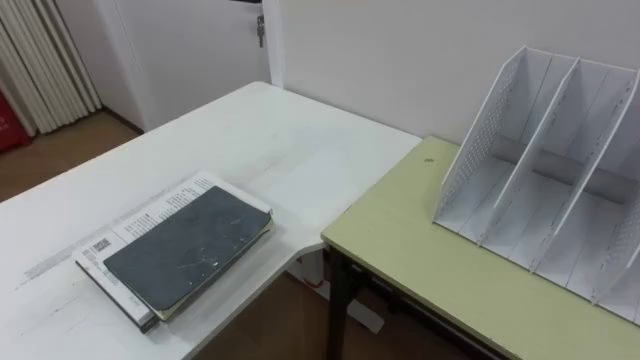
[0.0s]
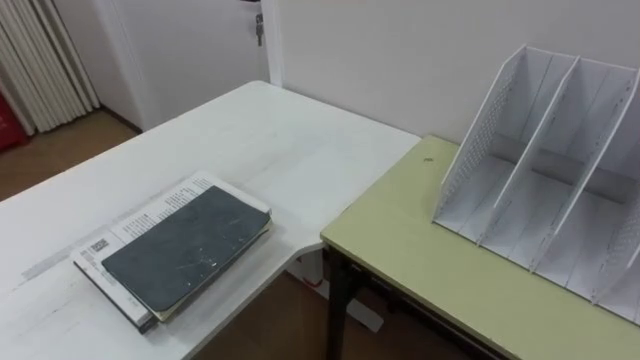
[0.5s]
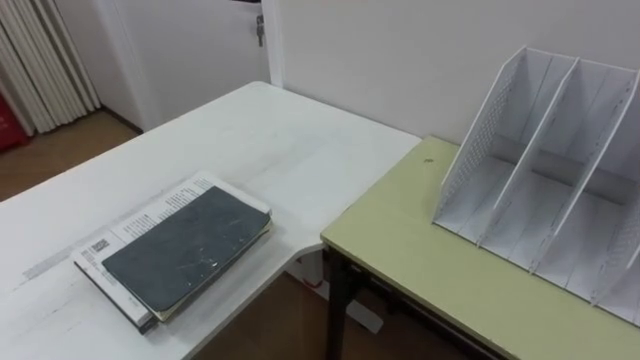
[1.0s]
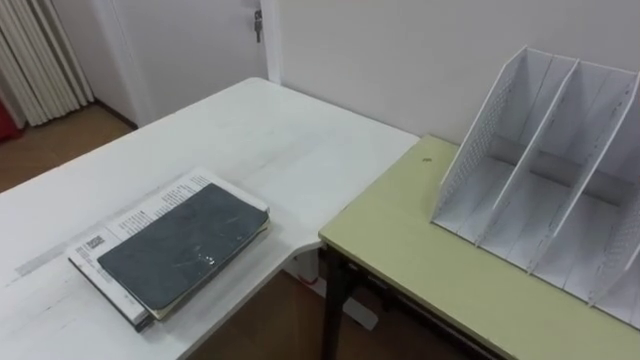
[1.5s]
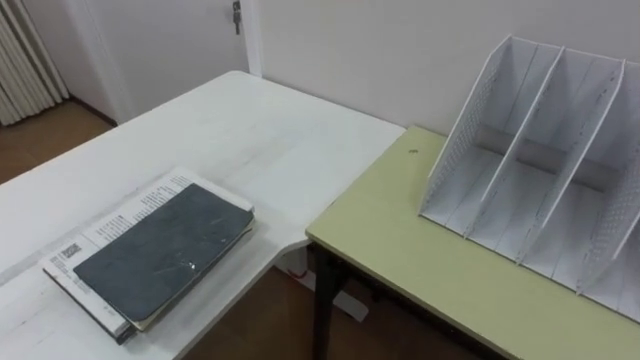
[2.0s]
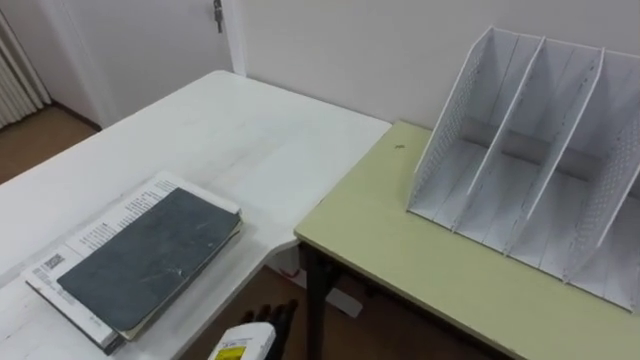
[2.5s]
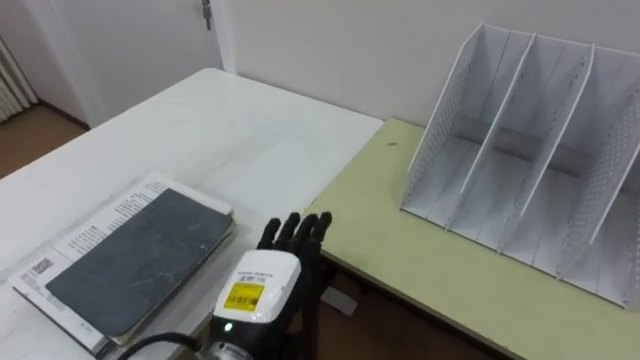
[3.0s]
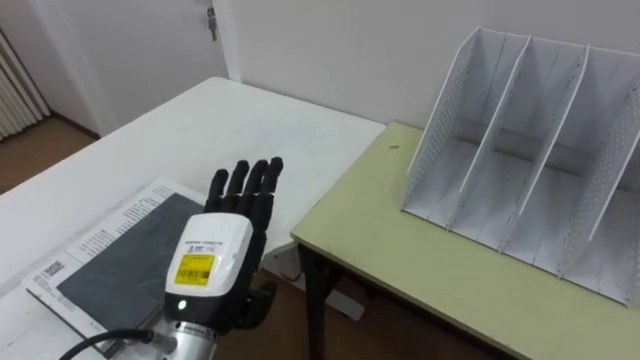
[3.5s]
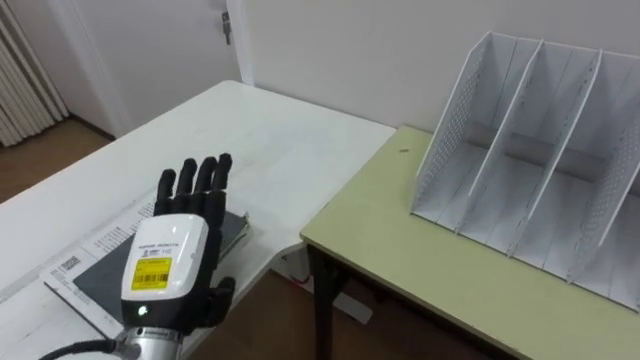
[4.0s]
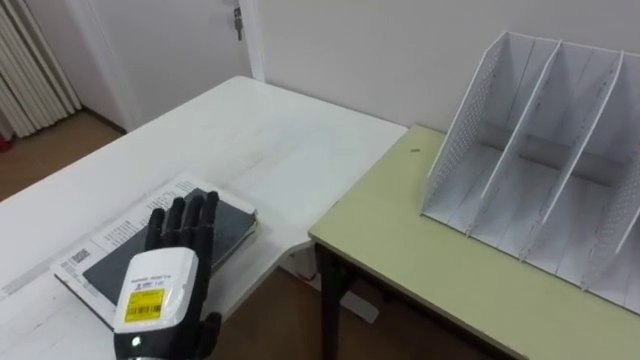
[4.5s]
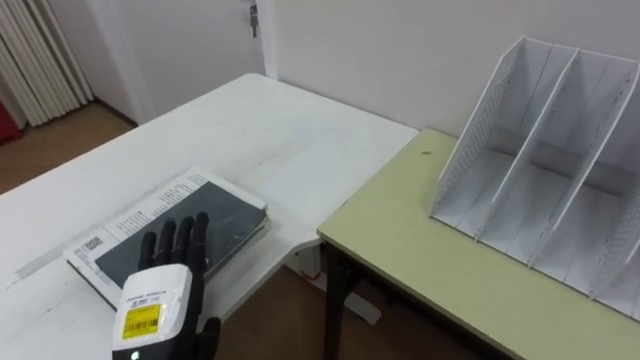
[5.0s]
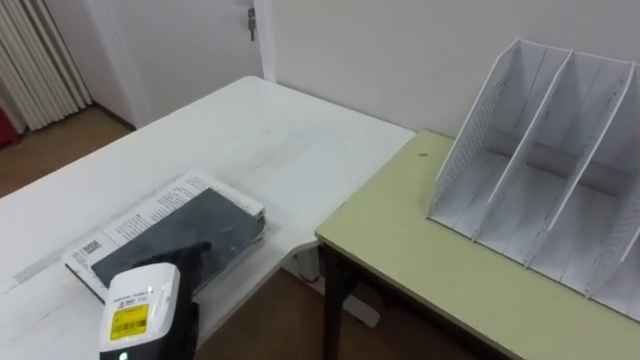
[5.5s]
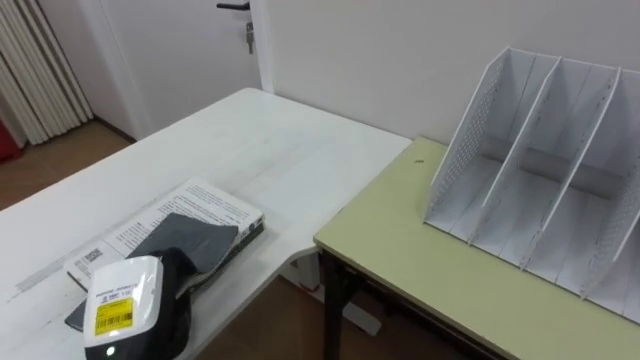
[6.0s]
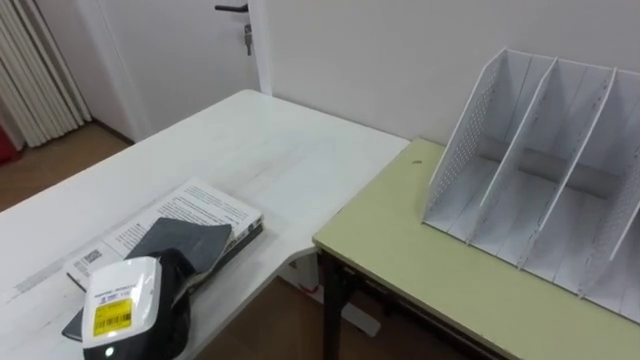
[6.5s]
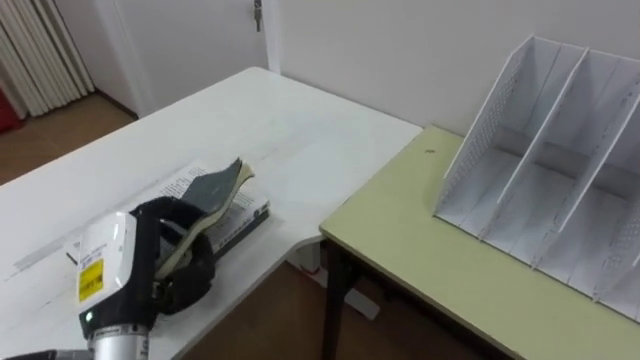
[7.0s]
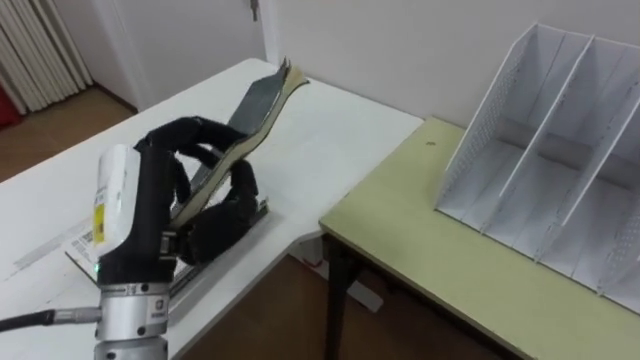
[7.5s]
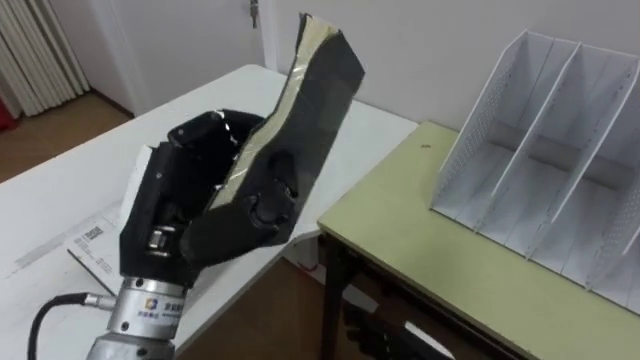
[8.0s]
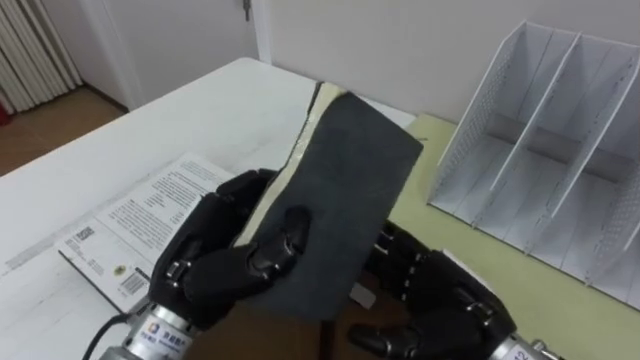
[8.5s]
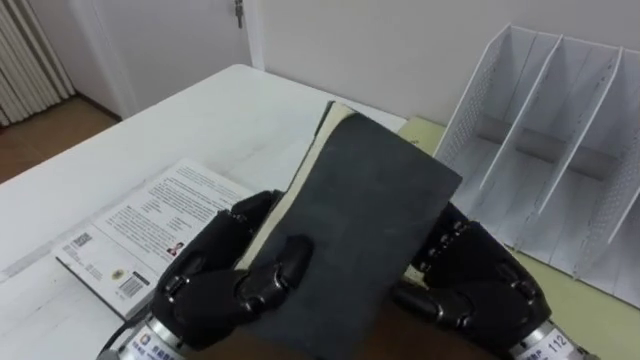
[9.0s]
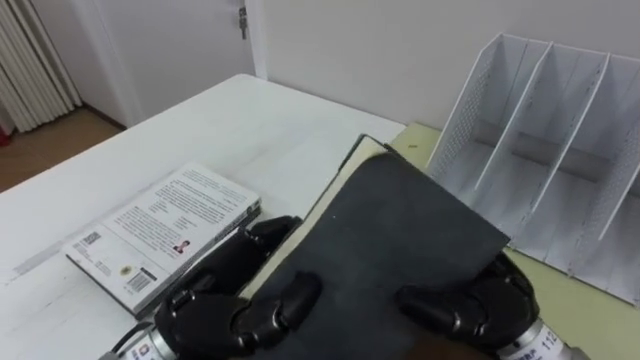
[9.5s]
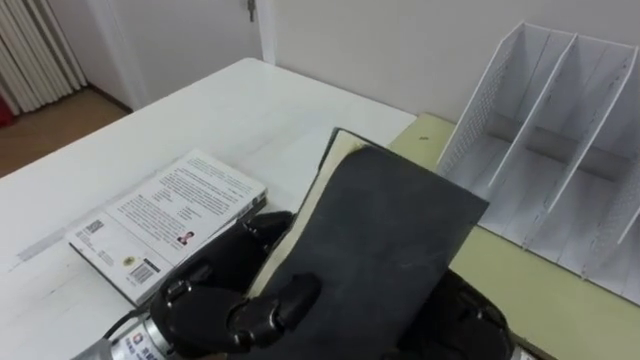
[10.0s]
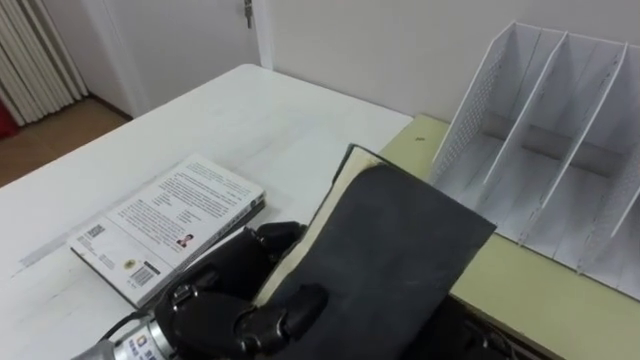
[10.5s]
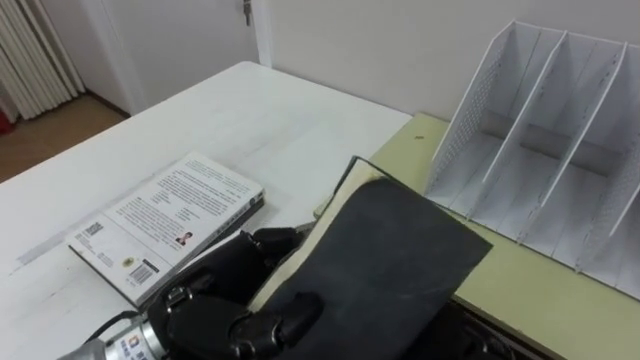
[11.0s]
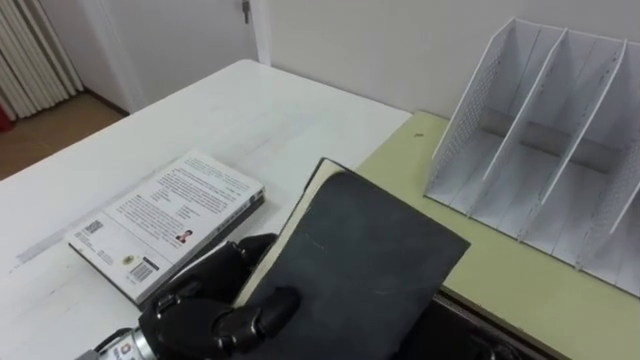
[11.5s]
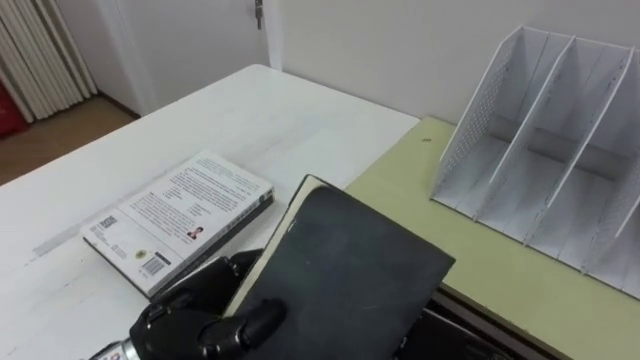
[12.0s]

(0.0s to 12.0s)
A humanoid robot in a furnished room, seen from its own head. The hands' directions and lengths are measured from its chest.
Task of the whole recording: Put the books on the table onto the bookshelf.
4.0s - 6.0s: The left hand shifts about 10 cm downward and to the left, and closes its fingers.
6.0s - 8.0s: The left hand moves upward and to the right, roughly 15 cm.
8.0s - 10.0s: The left hand is displaced downward by roughly 5 cm.
10.0s - 12.0s: The right hand ends up about 5 cm from where it was. Meanwhile the left hand changes place by about 5 cm.

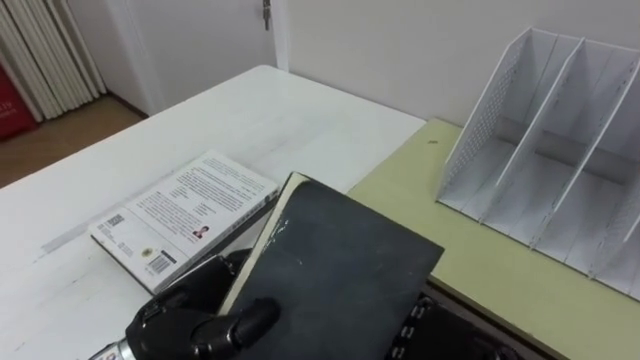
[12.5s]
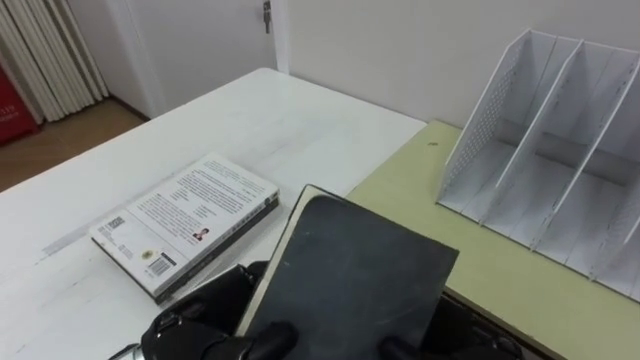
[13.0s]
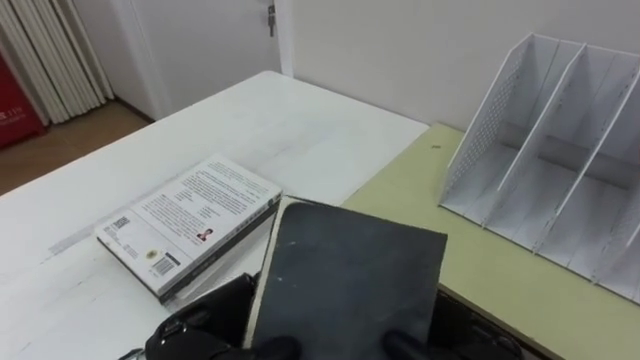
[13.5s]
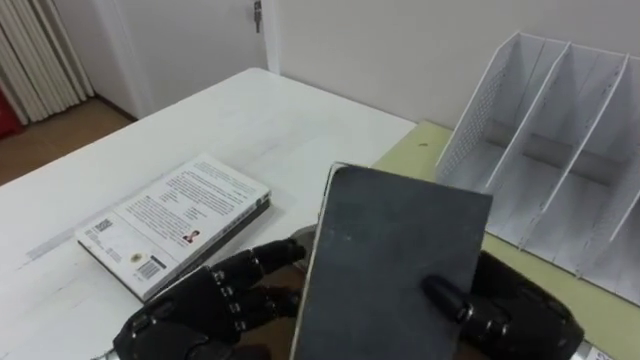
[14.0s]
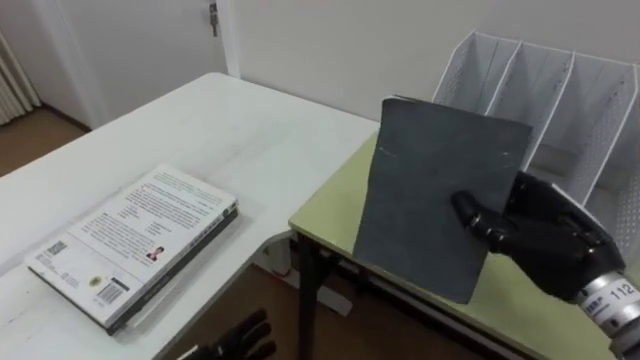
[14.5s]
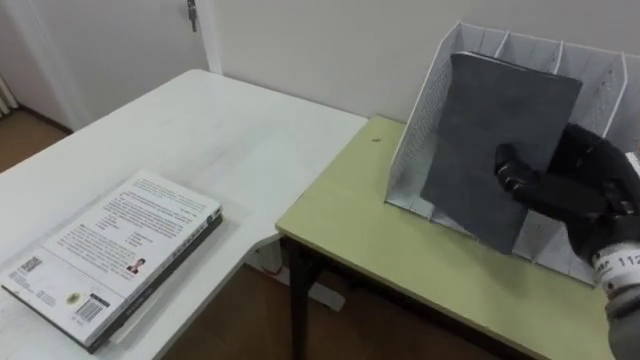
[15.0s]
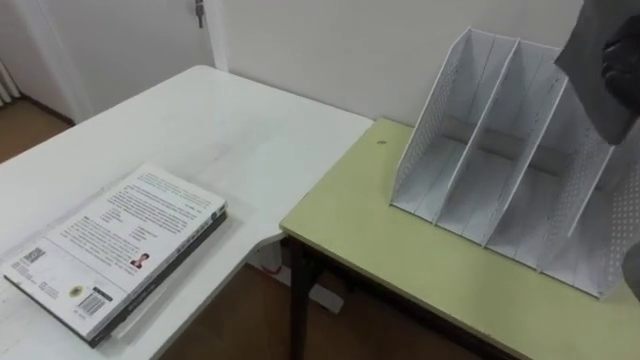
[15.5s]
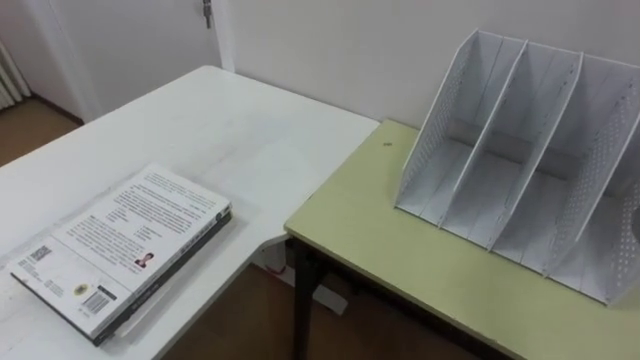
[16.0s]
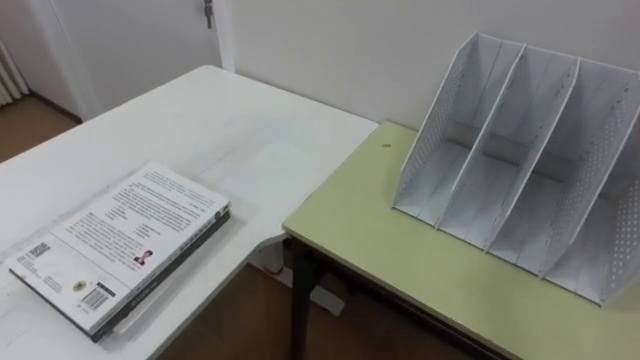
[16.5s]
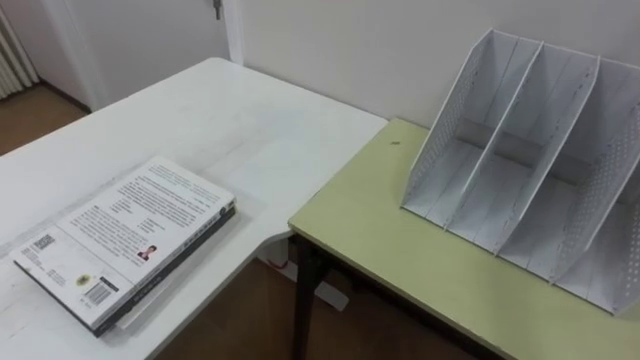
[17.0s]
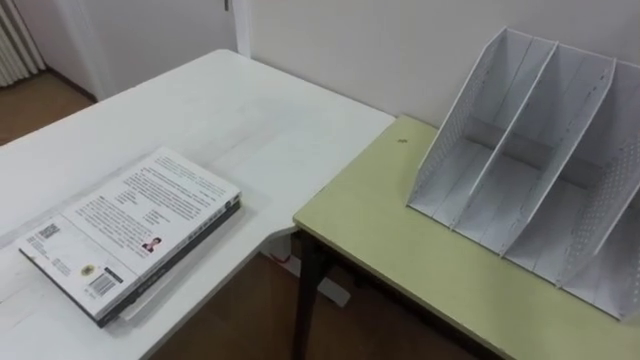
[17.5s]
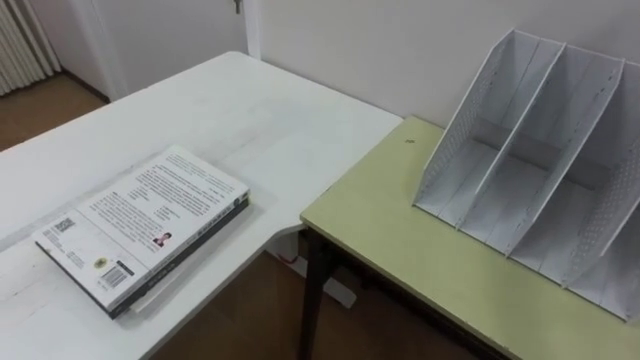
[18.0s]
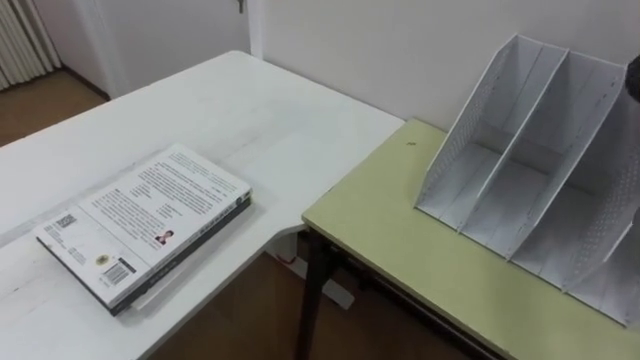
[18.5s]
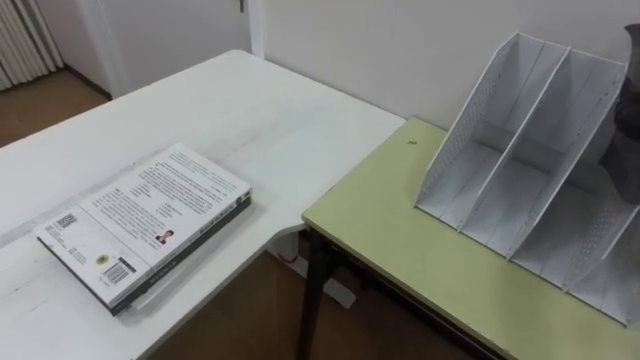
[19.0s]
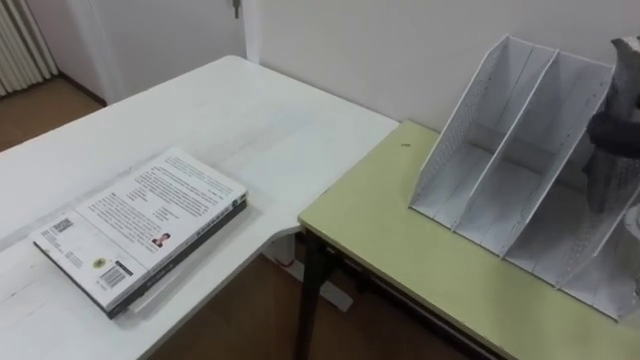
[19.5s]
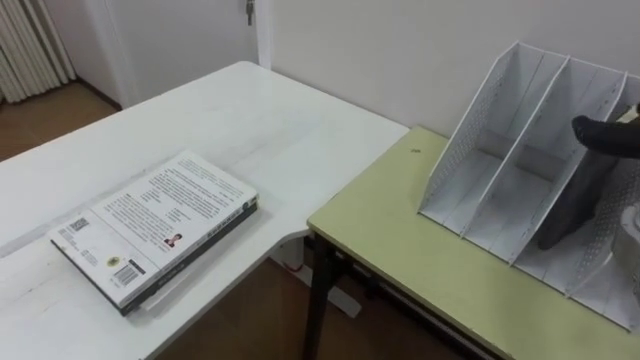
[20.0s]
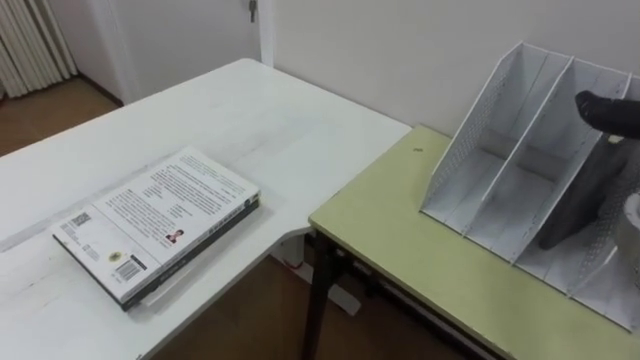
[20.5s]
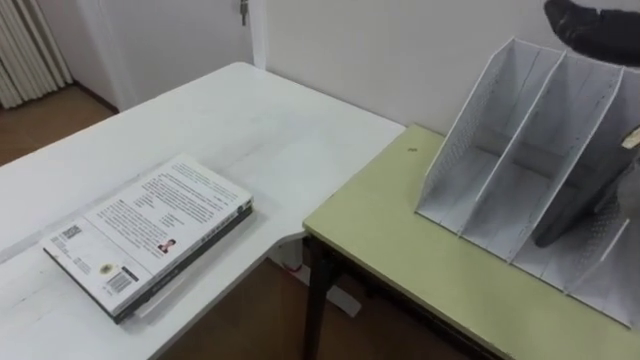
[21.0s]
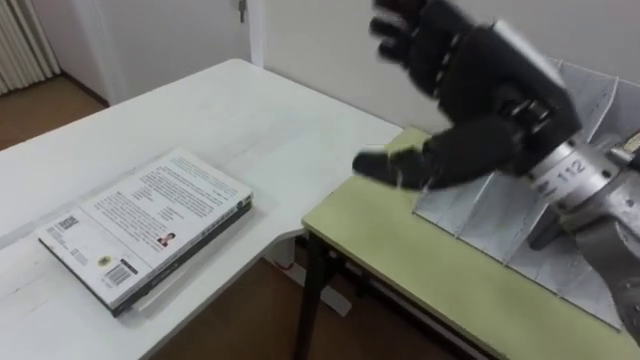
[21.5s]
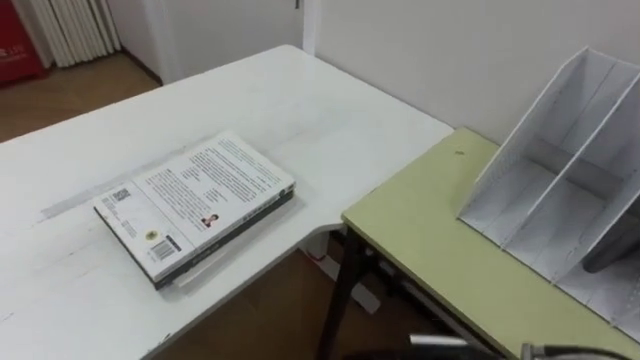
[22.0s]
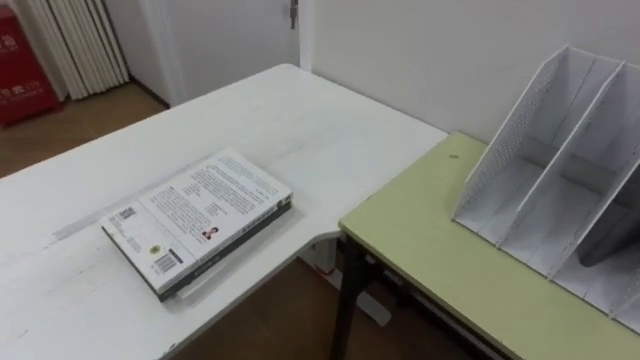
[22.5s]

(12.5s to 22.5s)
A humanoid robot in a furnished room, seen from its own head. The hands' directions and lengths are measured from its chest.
Task of the whole recording: Put the books on the table onto the bookshelf.
12.5s - 14.5s: The right hand goes some 15 cm to the right and forward, and closes its fingers.
